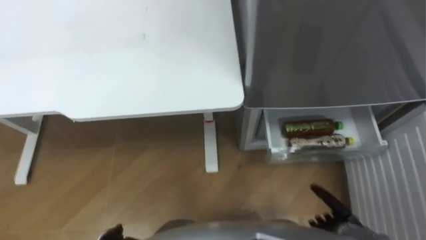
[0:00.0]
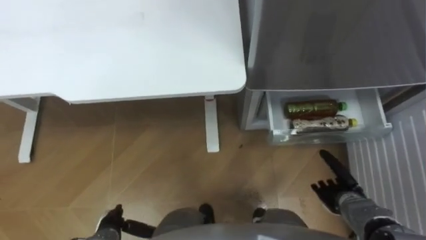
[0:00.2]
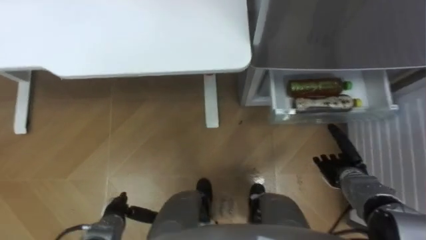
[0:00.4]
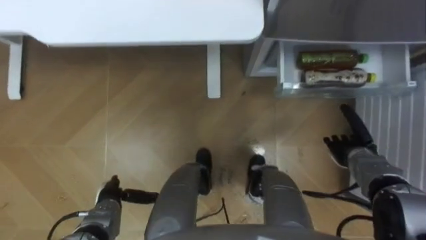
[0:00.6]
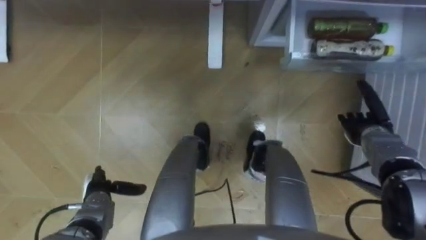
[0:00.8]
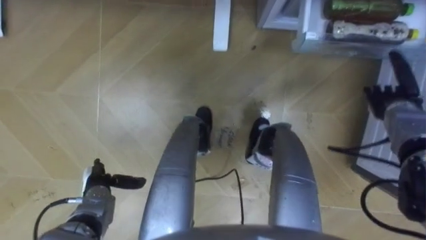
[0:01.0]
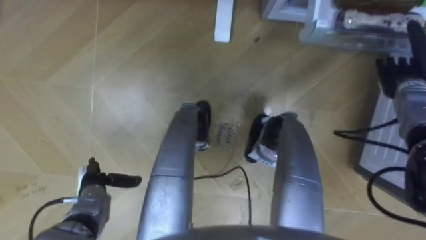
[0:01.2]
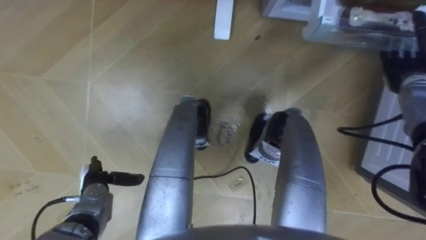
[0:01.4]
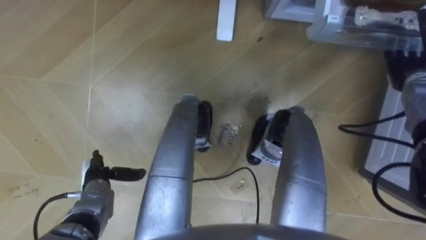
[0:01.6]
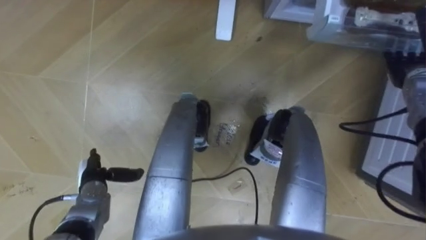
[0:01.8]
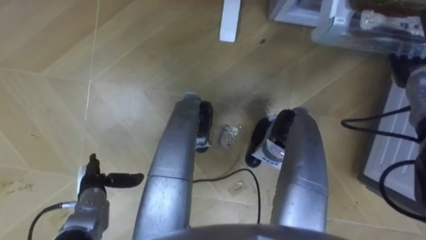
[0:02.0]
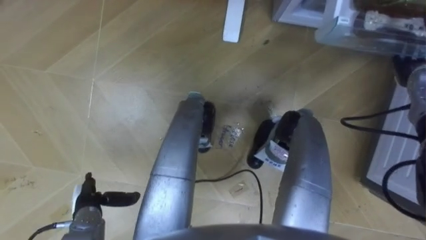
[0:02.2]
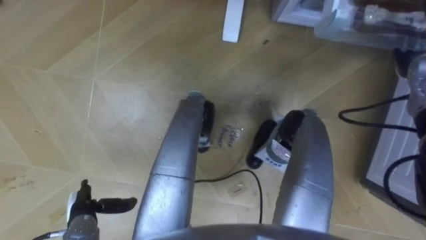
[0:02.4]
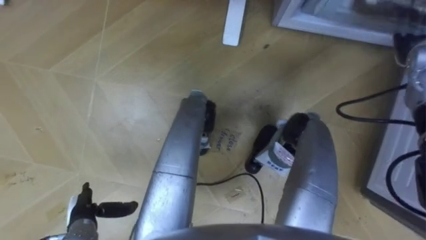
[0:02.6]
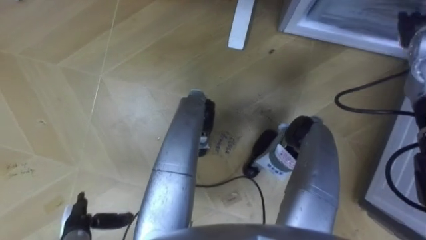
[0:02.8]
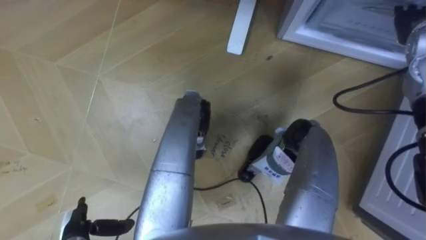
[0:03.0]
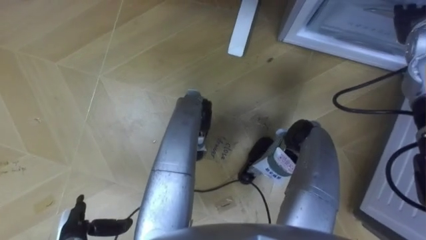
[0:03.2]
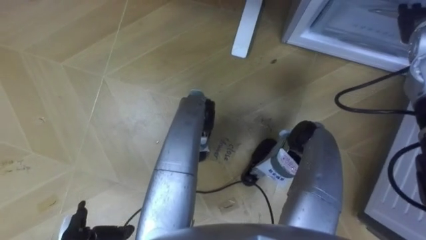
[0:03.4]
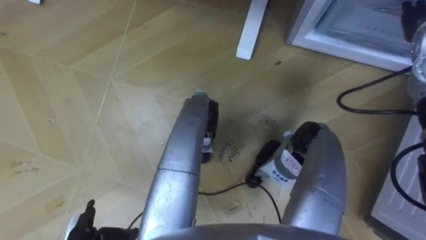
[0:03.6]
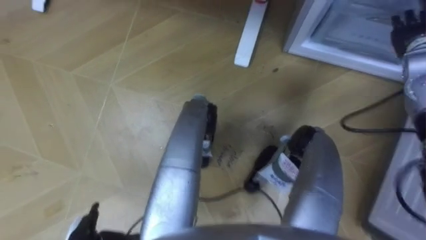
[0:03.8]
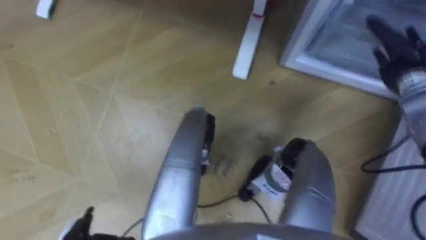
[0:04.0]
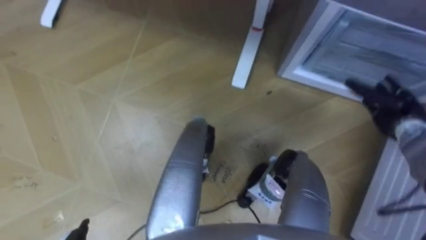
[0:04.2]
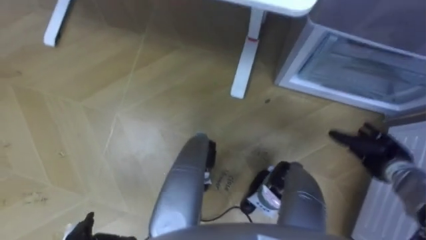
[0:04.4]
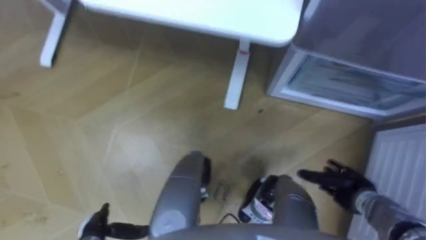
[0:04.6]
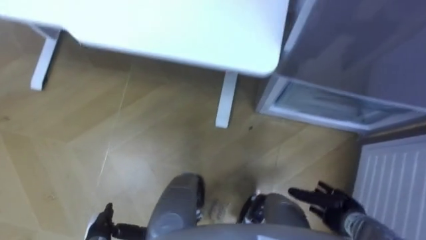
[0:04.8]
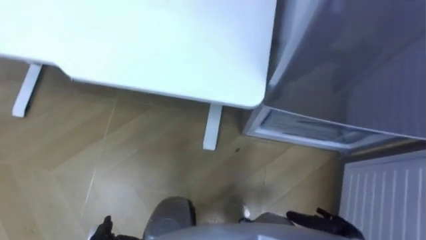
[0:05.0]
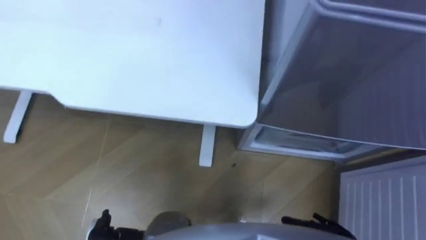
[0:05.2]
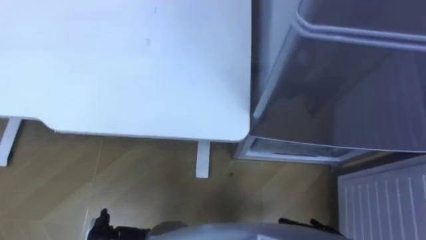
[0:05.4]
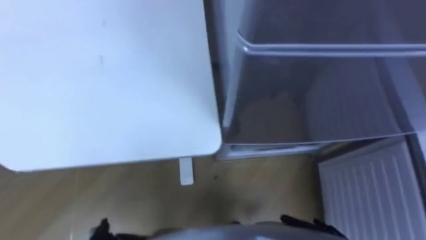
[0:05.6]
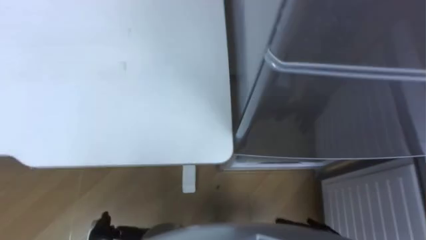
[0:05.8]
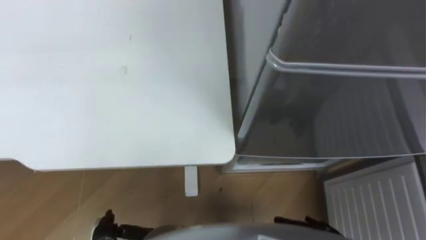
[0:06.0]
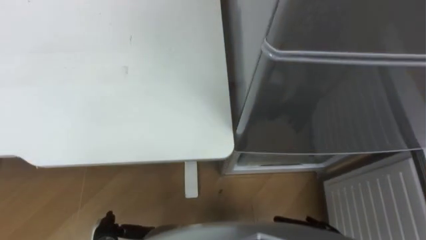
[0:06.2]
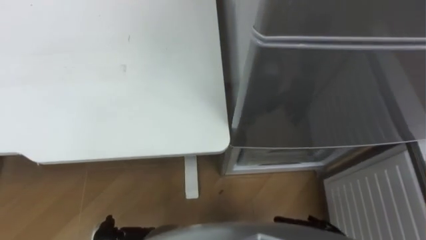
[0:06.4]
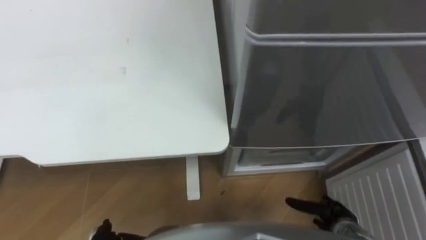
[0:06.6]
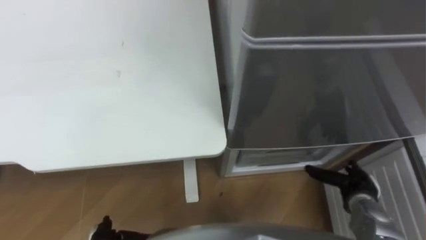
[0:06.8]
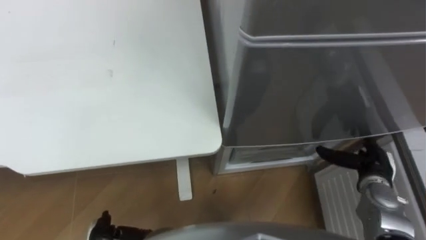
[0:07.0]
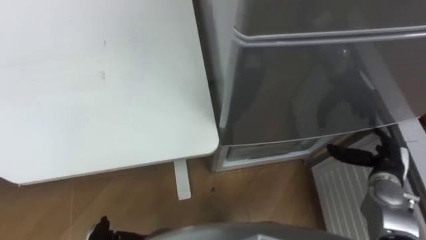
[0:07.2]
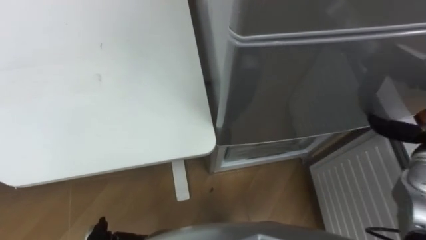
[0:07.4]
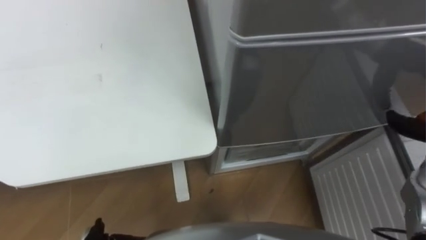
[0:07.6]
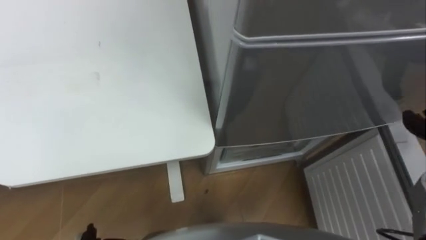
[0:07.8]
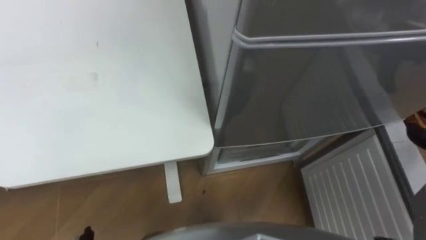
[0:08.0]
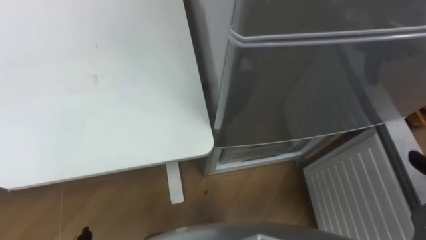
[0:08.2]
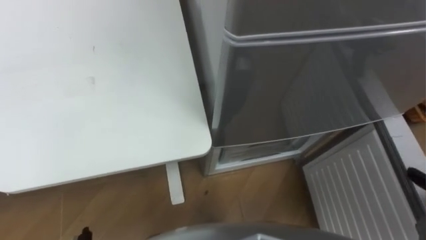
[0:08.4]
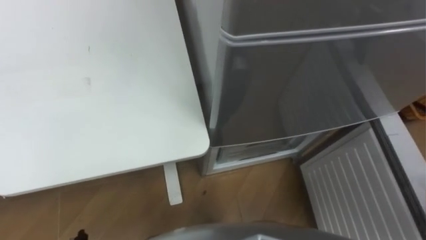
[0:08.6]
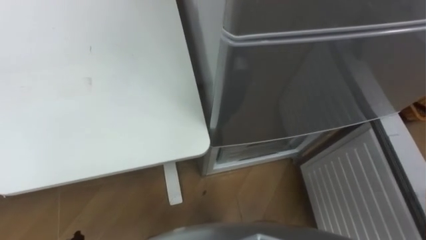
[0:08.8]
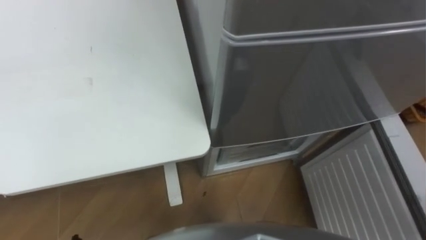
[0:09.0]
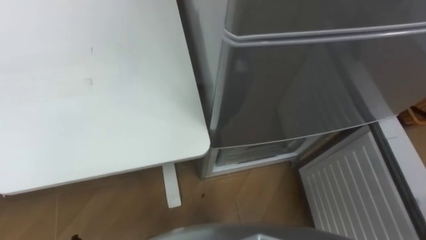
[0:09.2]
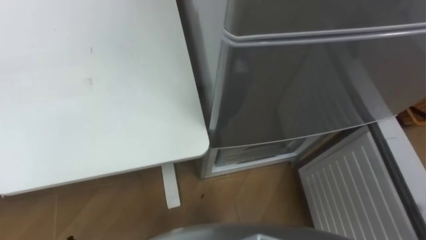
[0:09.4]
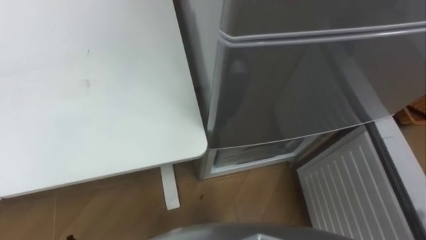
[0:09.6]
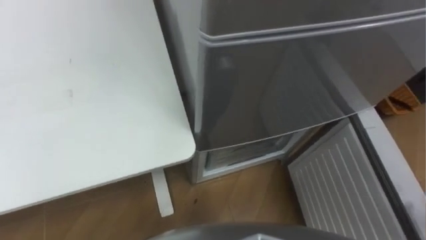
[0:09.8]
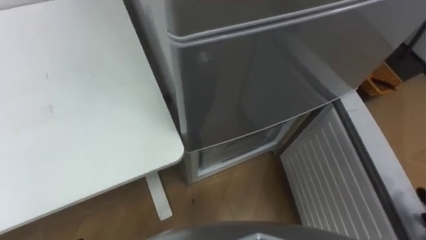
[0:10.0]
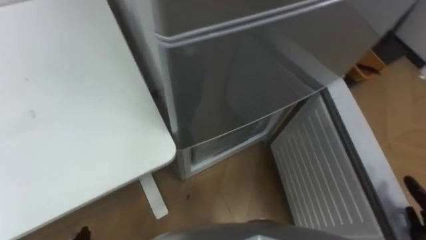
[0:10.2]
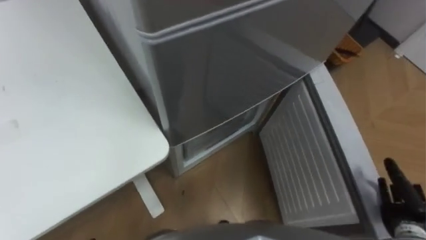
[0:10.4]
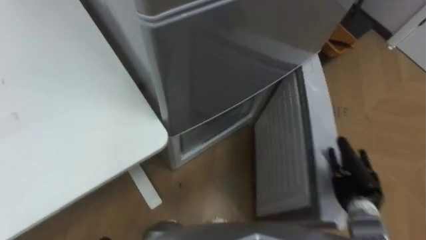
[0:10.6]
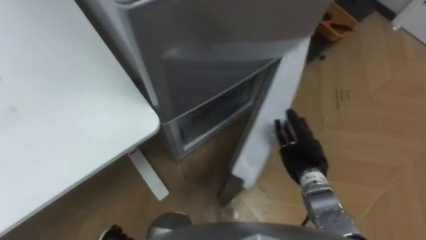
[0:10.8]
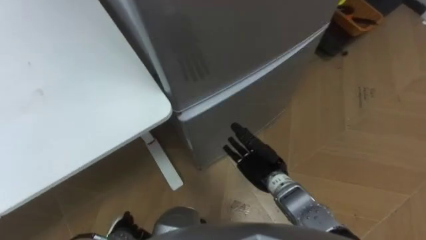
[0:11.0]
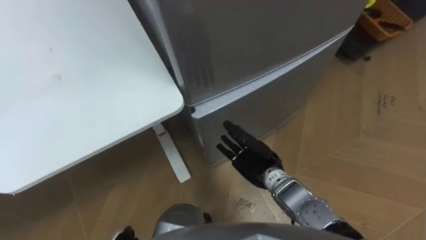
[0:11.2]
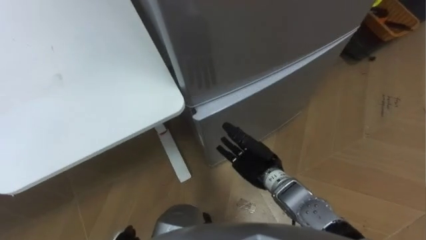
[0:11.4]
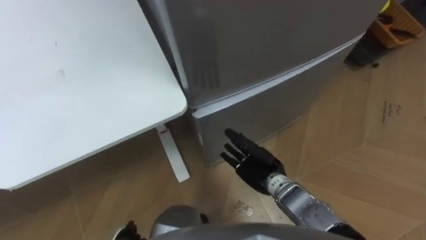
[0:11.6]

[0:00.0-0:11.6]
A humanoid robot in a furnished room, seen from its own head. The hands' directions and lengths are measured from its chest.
Task of the whole recording: Place the drink on the table on the bottom shelf of the refrigerator, then close the drawer and the refrigerator door.
0:00.0 to 0:01.4: The right hand is displaced forward and upward by roughly 35 cm.
0:01.4 to 0:02.8: The left hand goes some 10 cm backward. The right hand travels upward by approximately 10 cm.
0:02.8 to 0:04.4: The right hand heads downward and backward, covering some 25 cm.
0:08.8 to 0:10.2: The robot turns to its right by about 20 degrees.
0:10.2 to 0:11.6: The right hand goes approximately 35 cm to the left and forward.

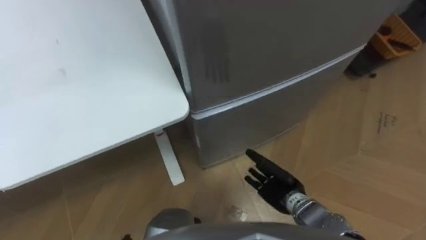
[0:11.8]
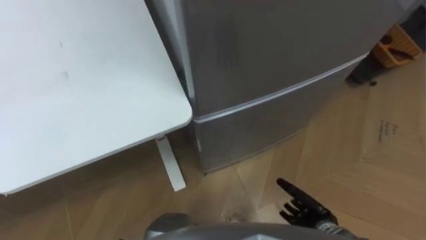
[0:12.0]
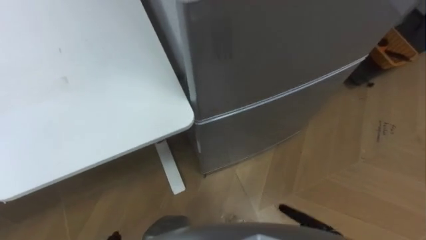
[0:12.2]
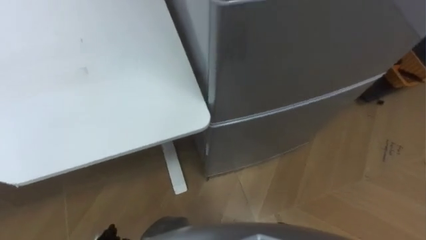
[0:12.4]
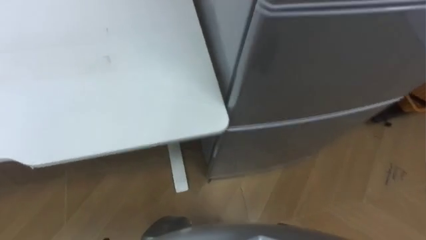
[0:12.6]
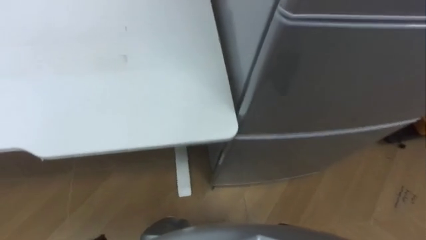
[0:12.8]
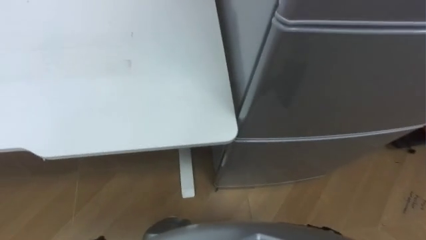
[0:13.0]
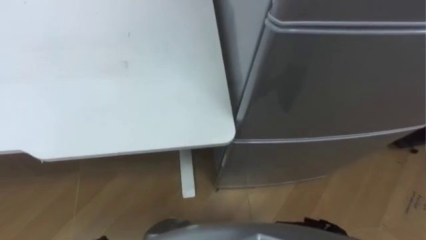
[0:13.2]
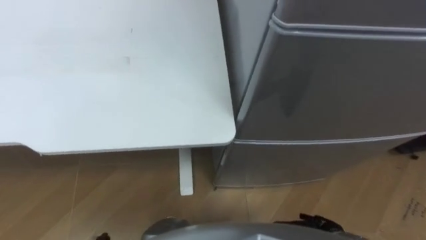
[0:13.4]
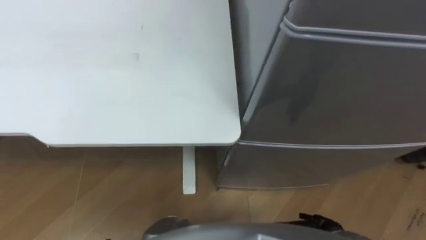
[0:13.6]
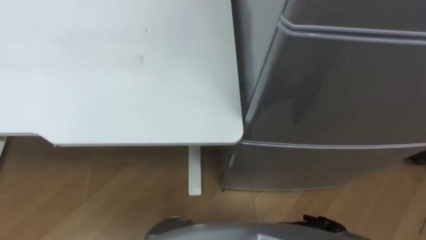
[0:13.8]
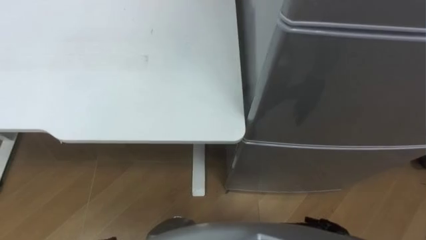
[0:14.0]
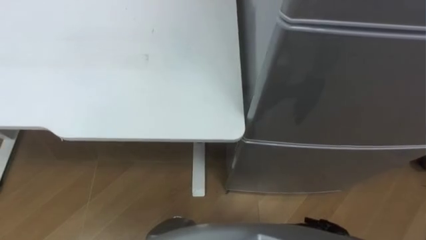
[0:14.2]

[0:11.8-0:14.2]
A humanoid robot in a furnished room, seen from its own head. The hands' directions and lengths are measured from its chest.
Task of the whole recording: Place the drink on the table on the bottom shelf of the refrigerator, then close the drawer and the refrigerator door.
0:11.8 to 0:13.0: The robot's body swings roughly 25 degrees to its left.

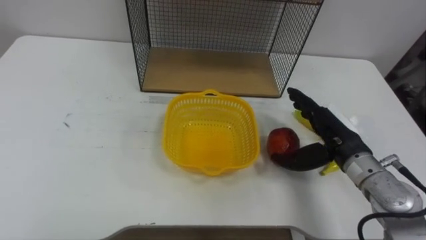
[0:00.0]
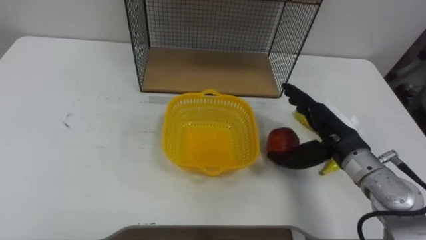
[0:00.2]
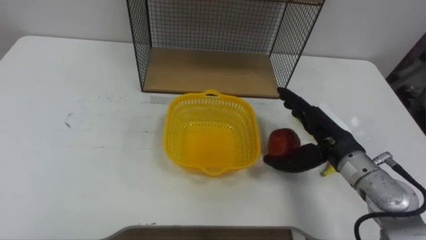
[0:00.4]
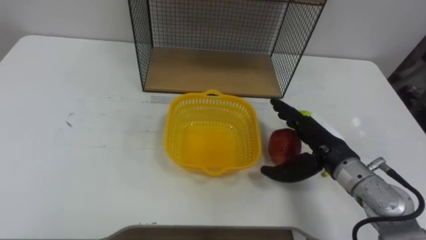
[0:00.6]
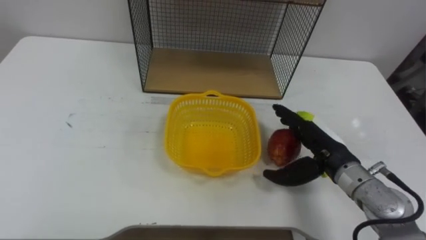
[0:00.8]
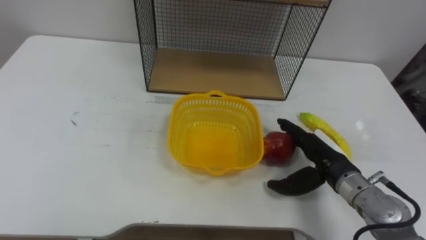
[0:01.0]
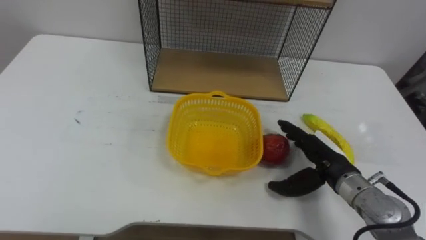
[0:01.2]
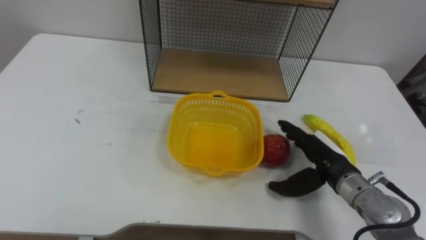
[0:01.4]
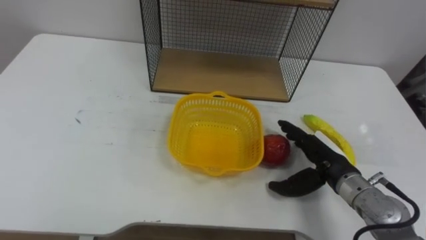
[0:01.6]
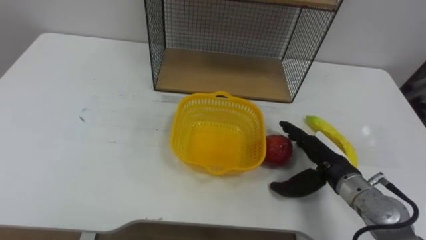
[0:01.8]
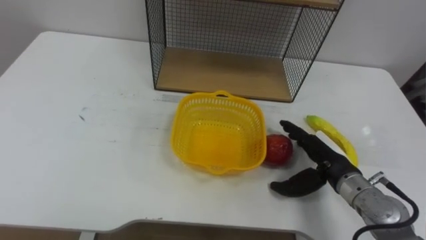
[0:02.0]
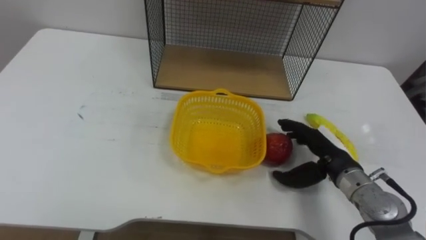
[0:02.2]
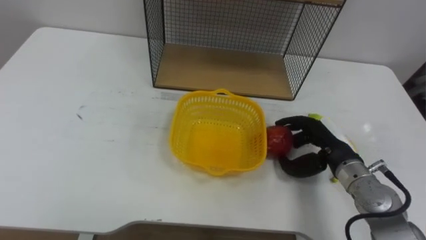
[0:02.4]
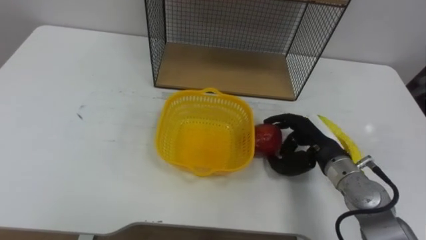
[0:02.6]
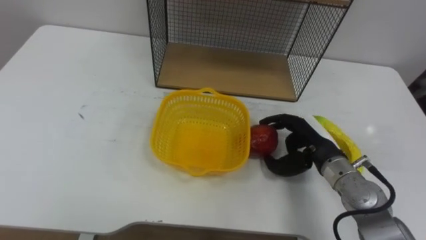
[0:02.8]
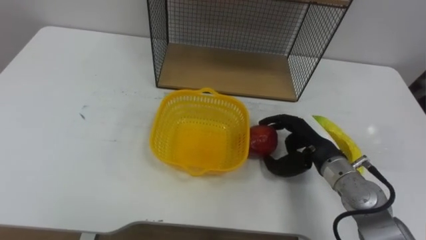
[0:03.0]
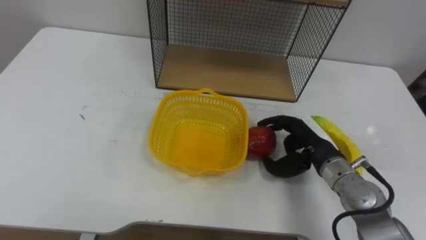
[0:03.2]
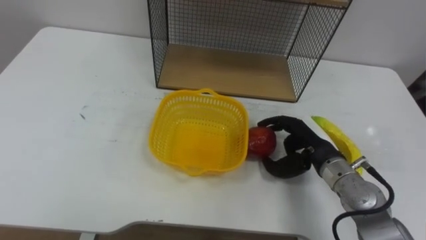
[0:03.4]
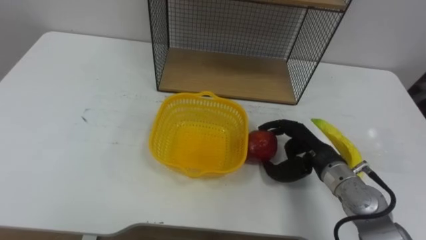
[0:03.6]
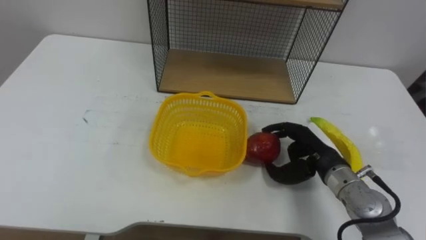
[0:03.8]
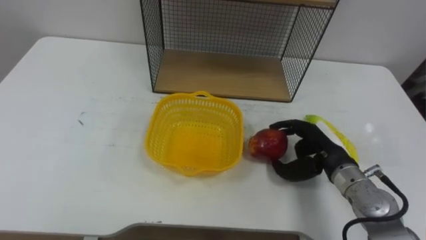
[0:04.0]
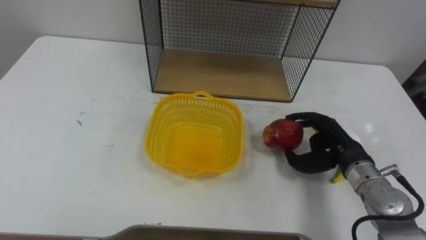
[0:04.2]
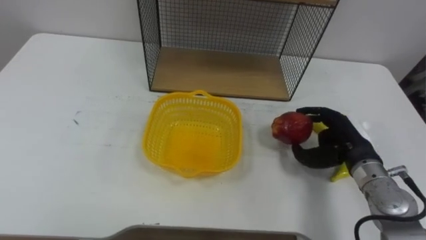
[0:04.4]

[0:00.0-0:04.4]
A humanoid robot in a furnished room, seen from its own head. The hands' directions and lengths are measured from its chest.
Task of the whole recording: Put the fruit on the table into the basket, then place the basket on the shelf.
0:00.0 to 0:01.4: The right hand goes approximately 5 cm downward.
0:01.4 to 0:03.0: The right hand closes its fingers.
0:03.0 to 0:04.4: The right hand is displaced to the right by some 5 cm.
